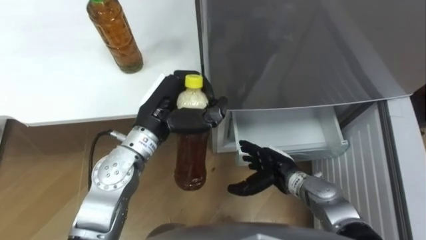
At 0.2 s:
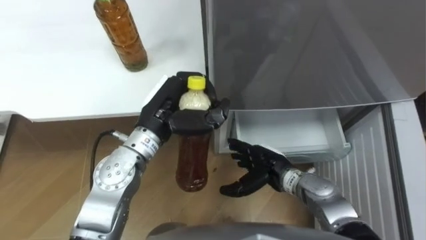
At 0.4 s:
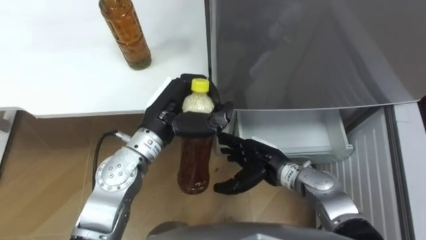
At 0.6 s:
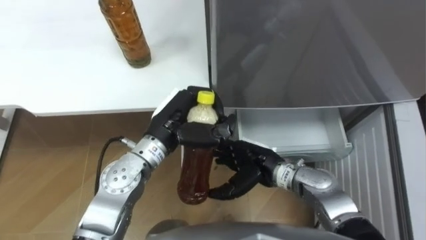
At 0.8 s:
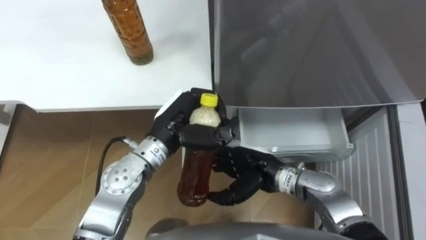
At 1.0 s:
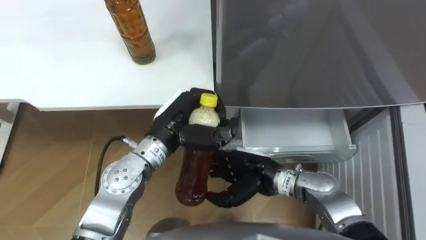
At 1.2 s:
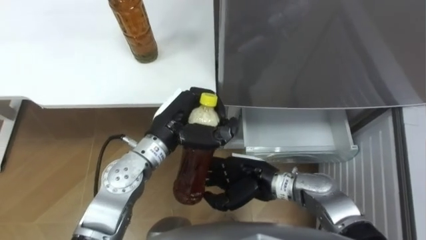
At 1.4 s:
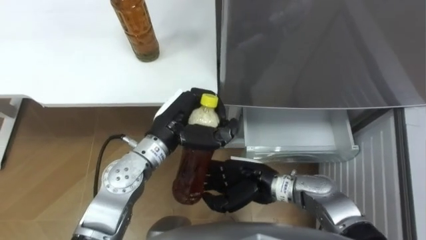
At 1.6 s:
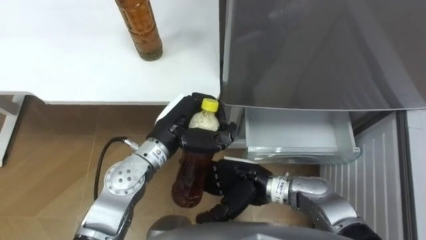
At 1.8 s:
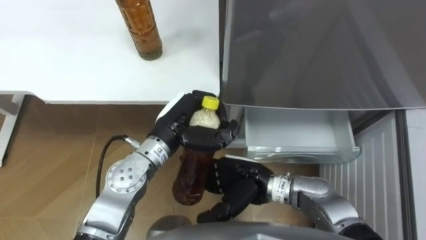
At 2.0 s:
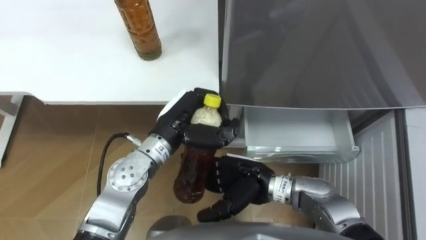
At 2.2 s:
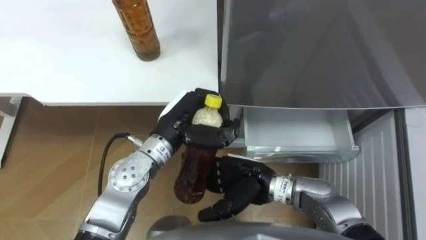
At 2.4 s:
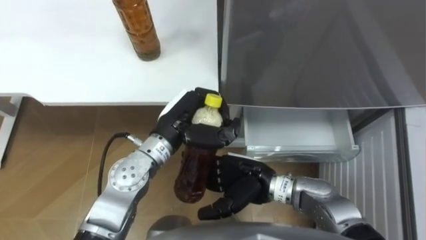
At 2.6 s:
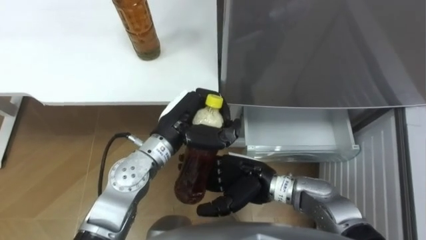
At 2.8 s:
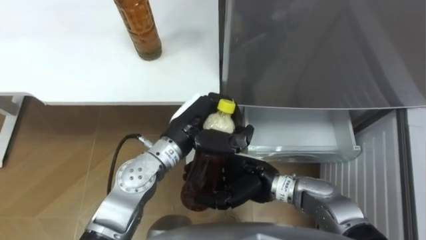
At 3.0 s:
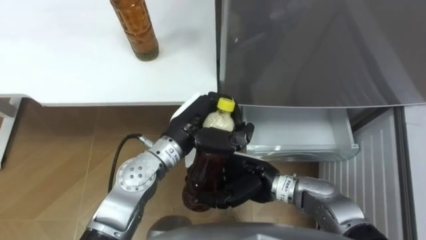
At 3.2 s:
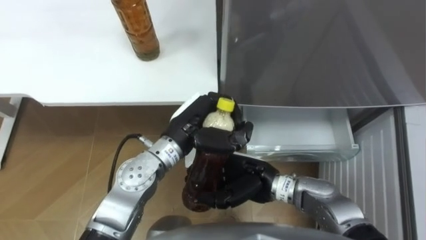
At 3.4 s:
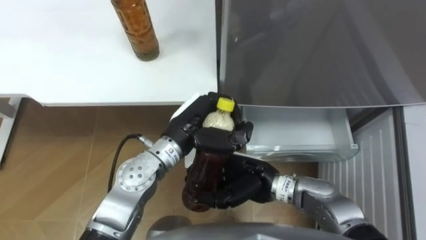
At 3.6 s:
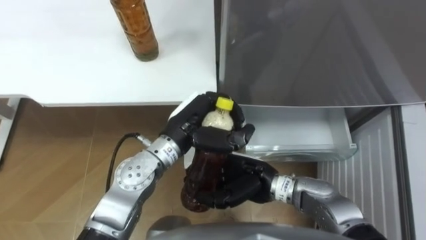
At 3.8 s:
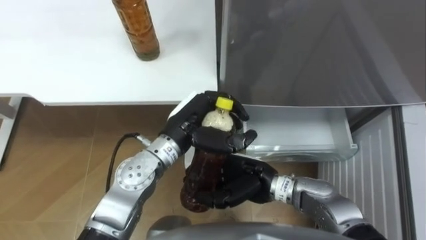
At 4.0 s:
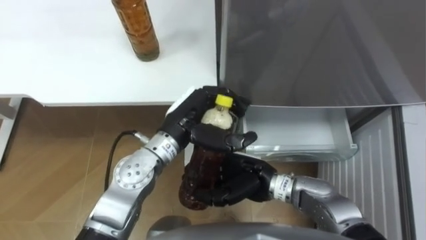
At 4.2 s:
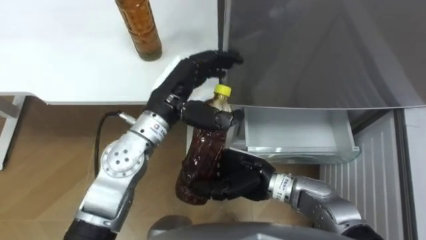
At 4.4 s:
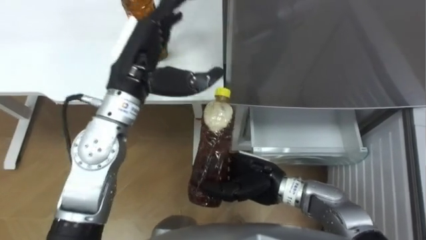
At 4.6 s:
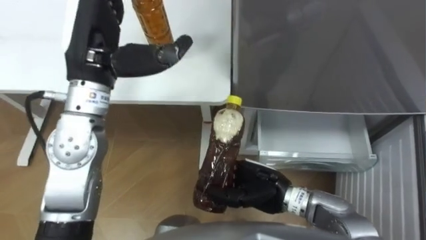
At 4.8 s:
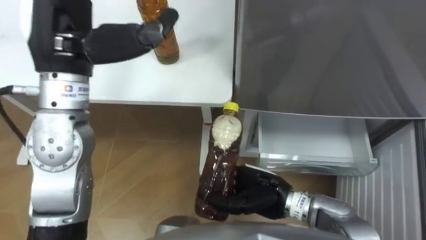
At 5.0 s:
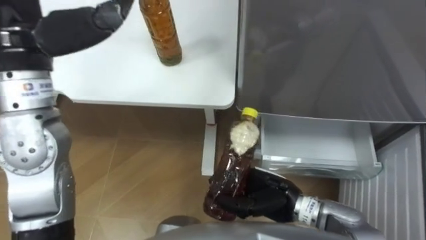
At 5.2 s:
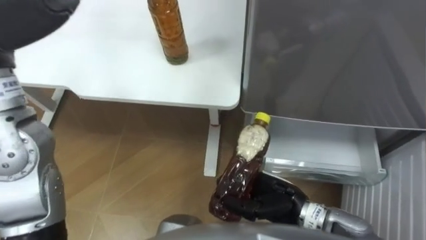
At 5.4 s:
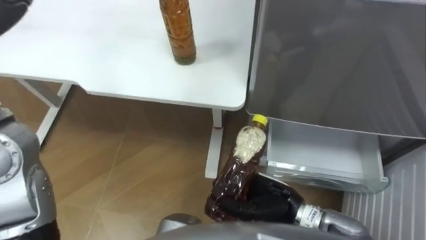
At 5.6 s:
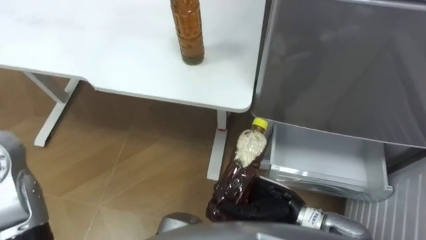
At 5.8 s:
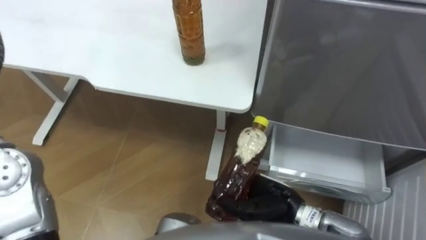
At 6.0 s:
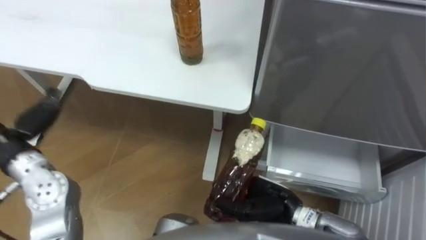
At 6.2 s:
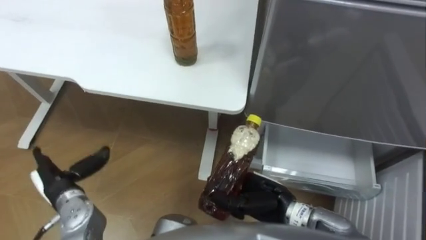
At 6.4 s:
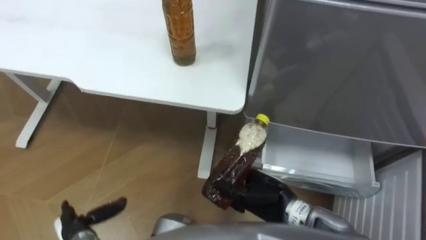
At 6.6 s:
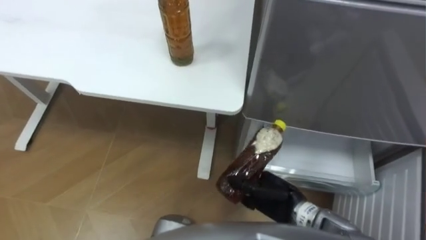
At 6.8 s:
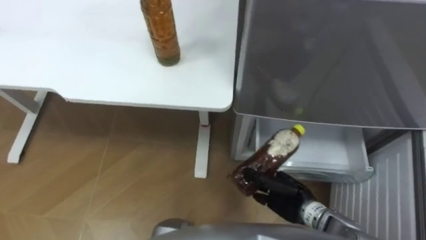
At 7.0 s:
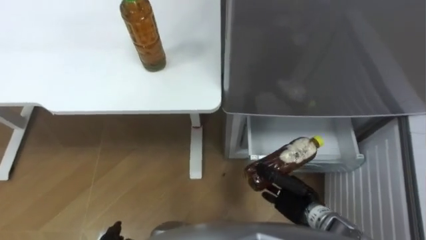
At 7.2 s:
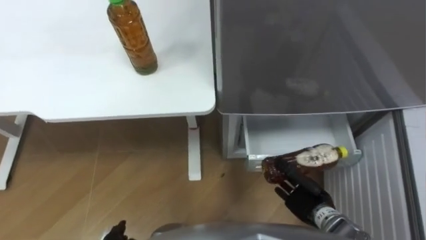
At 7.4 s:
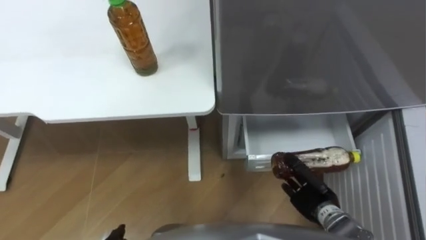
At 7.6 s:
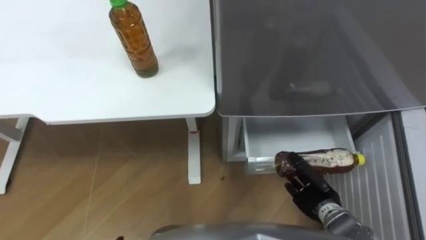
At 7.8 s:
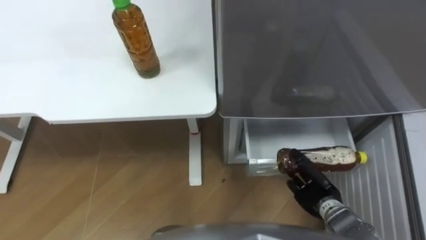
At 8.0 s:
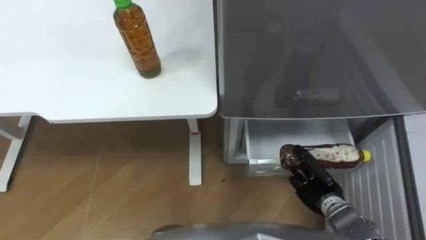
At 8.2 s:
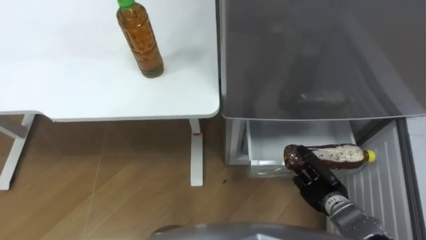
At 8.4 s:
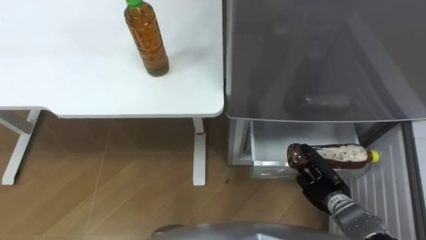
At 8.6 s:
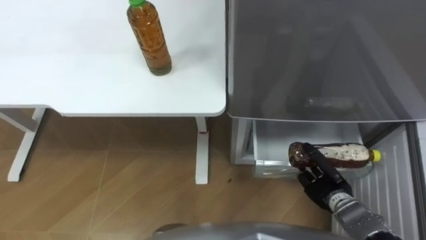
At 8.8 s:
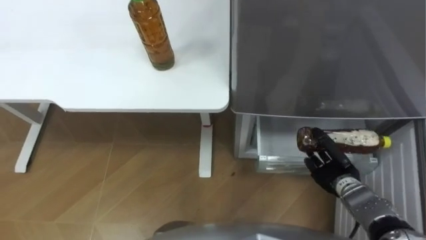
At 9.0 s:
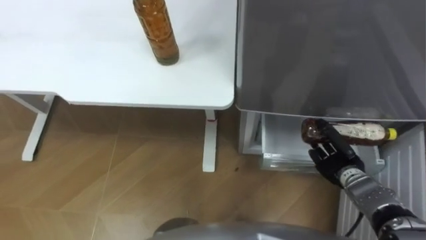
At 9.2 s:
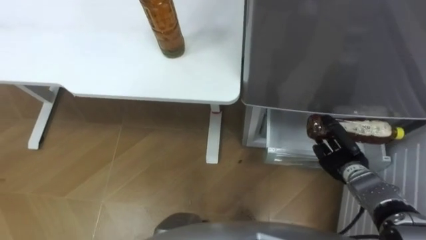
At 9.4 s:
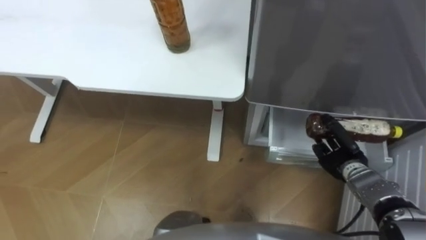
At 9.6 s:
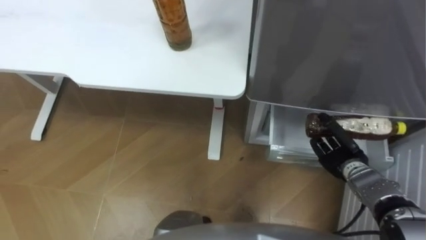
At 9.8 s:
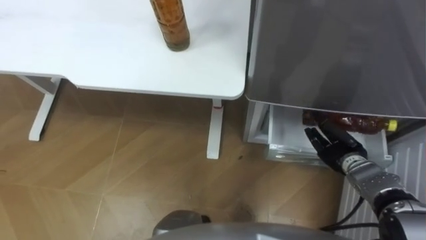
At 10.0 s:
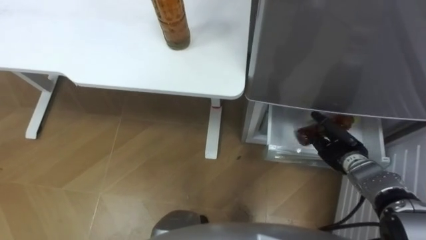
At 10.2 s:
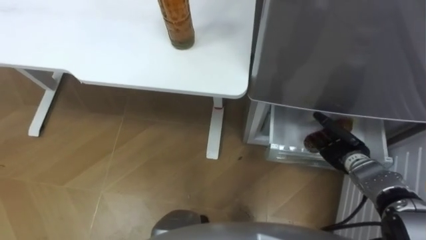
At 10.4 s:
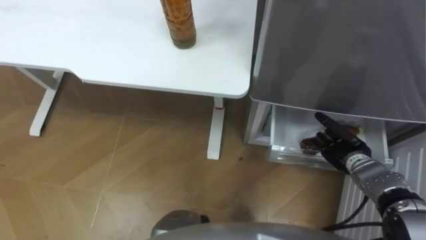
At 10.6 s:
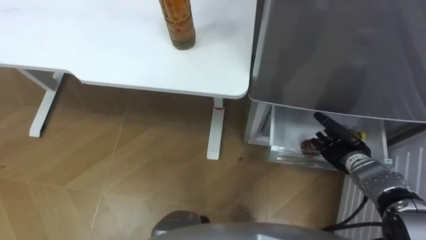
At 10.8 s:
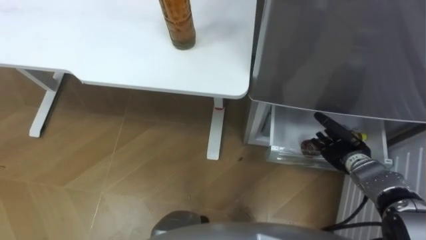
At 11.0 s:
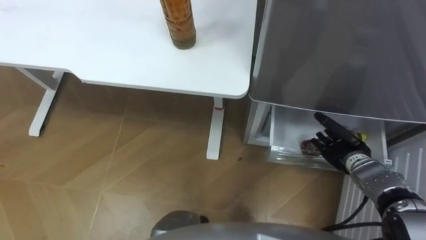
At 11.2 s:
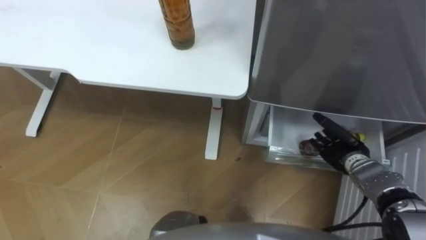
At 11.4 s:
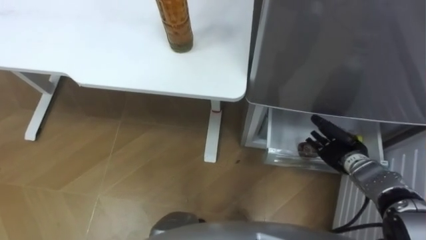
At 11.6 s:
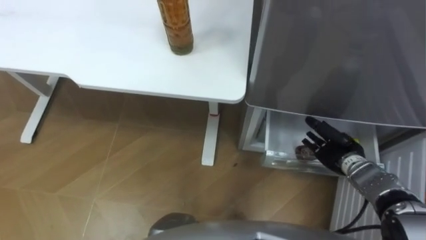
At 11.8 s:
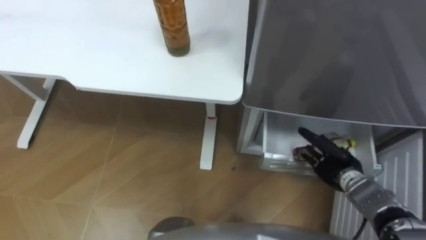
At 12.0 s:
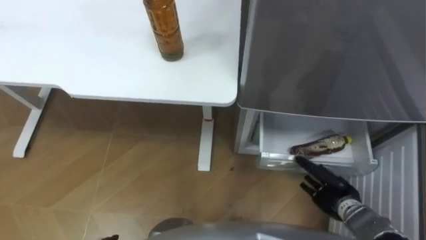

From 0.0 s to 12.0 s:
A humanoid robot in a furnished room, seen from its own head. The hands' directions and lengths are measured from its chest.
Task of the whole recording: Place the drink on the table on the bottom shelf of the refrigerator, then close the drawer and the refrigerator door.
From 0.0 s to 1.6 s: The right hand travels to the left and upward by roughly 10 cm.
From 1.6 s to 3.0 s: The right hand closes up.
From 3.0 s to 4.4 s: The left hand heads upward and to the left, covering approximately 15 cm, and opens its fingers.
From 4.4 s to 6.0 s: The right hand ends up some 5 cm from where it was.
From 6.0 s to 7.6 s: The right hand travels to the right and downward by approximately 15 cm.
From 7.6 s to 9.0 s: The right hand shifts roughly 10 cm forward and to the right.
From 9.0 s to 10.4 s: The right hand opens up.
From 10.4 s to 12.0 s: The right hand heads backward, covering approximately 10 cm.

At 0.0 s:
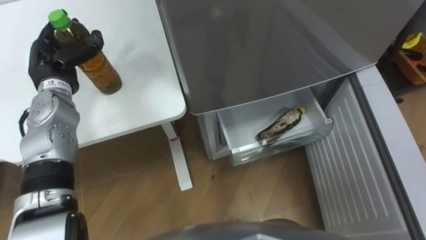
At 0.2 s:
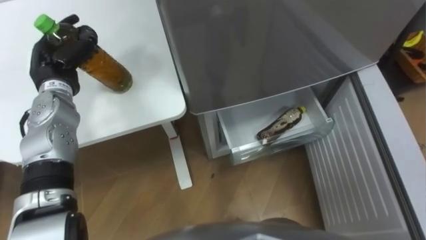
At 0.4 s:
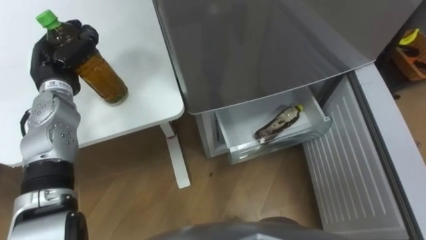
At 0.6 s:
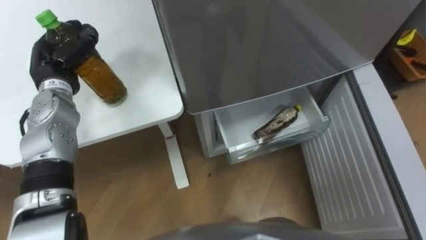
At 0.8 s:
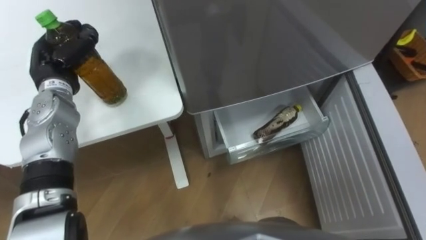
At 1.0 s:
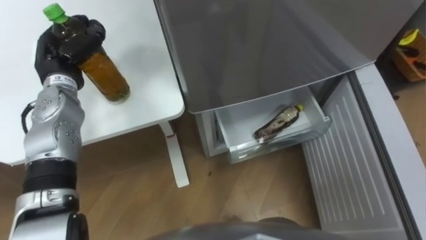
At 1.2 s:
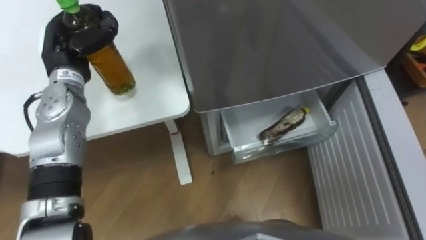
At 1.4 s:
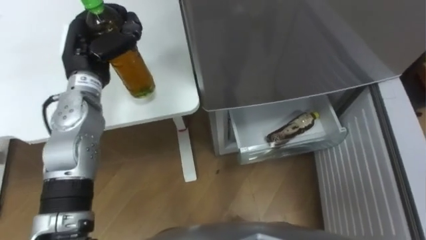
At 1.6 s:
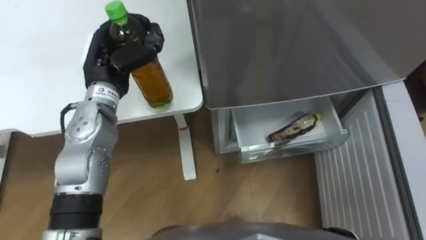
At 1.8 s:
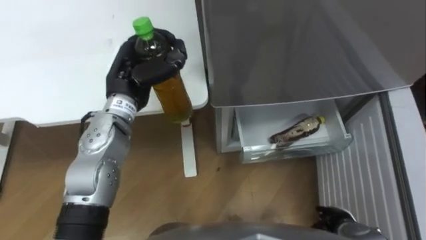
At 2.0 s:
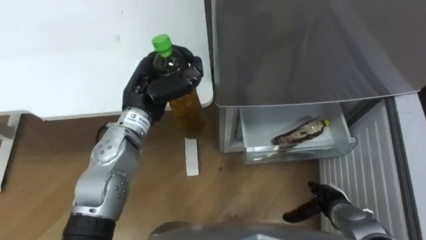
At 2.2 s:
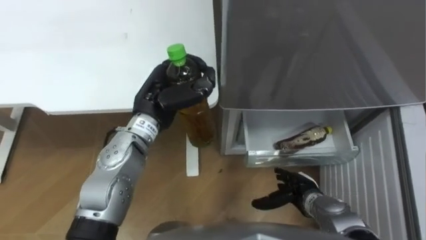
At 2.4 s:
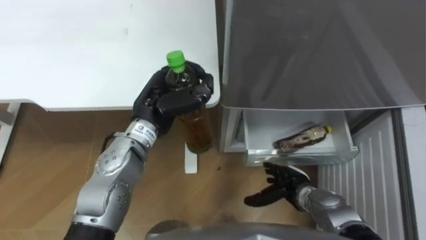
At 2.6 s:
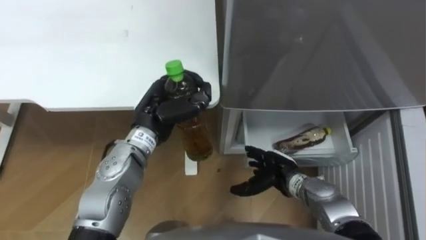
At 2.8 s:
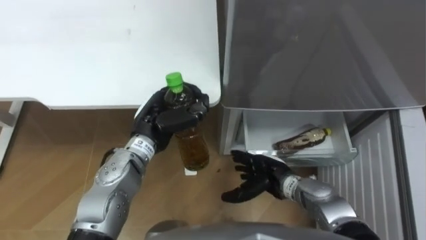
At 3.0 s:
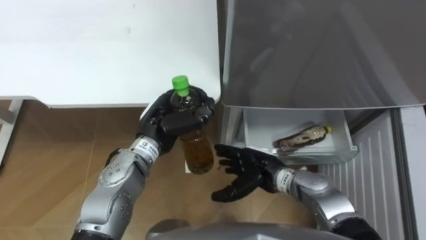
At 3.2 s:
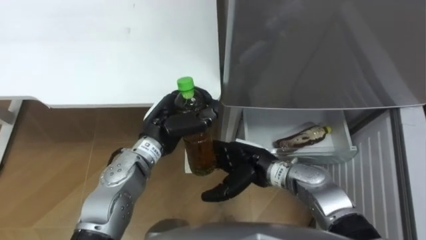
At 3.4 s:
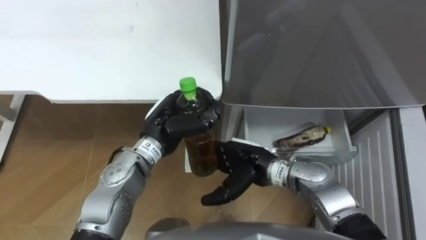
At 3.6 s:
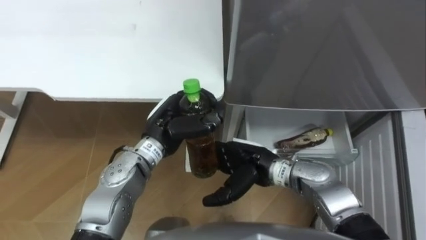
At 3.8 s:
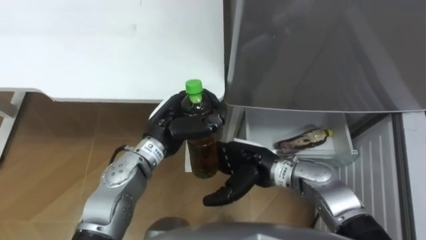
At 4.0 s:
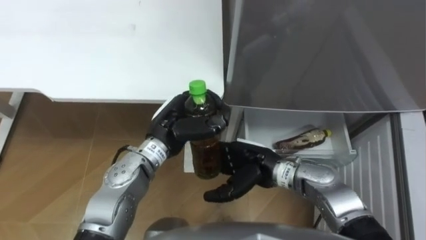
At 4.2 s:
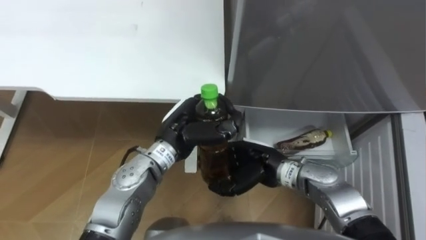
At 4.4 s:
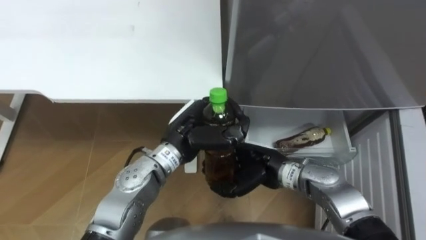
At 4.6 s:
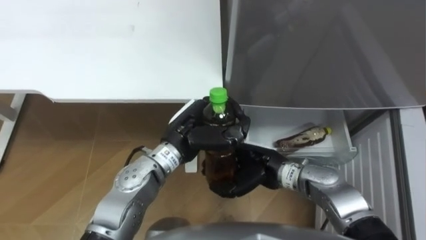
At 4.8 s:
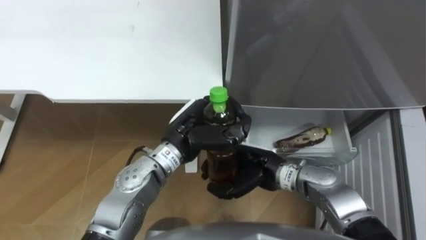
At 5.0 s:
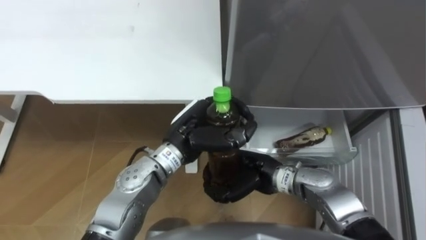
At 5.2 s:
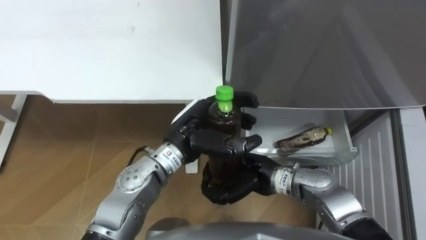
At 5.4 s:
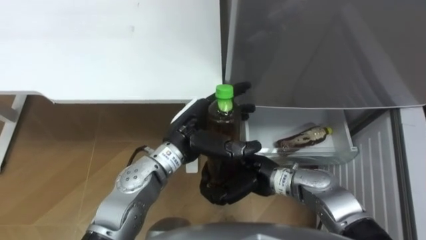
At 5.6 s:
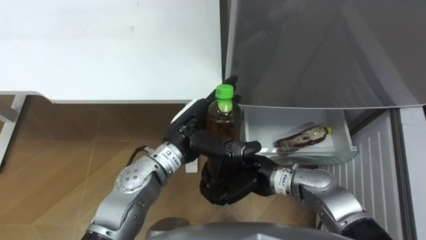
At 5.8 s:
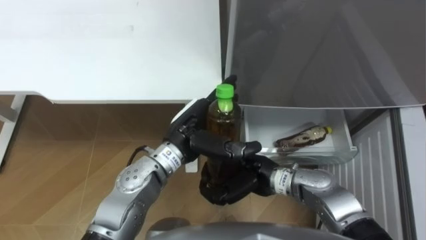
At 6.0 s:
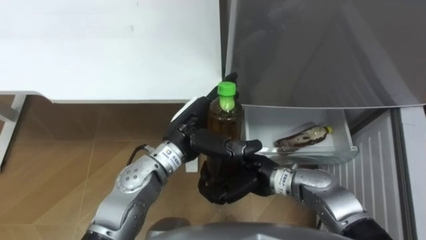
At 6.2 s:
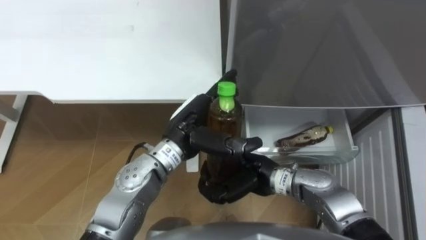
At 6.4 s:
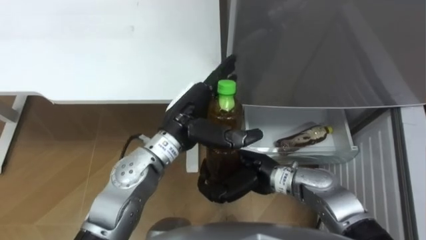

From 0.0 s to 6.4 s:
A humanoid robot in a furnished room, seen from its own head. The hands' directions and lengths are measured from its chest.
Task of the whole recording: Place the drink on the table on the bottom shelf of the refrigerator, then close the drawer and the refrigerator door.
From 0.0 s to 1.6 s: The left hand heads to the right, covering about 10 cm, and closes up.
From 1.6 s to 3.2 s: The left hand is displaced to the right, downward and backward by approximately 15 cm.
From 3.2 s to 4.8 s: The right hand closes up, while the left hand moves to the right, about 5 cm.
From 4.8 s to 6.4 s: The left hand opens its fingers.
